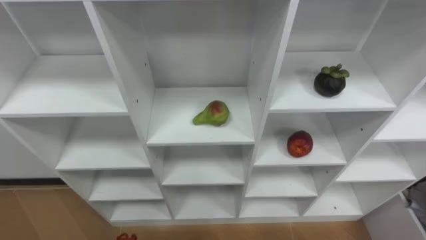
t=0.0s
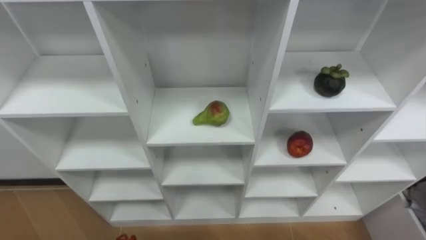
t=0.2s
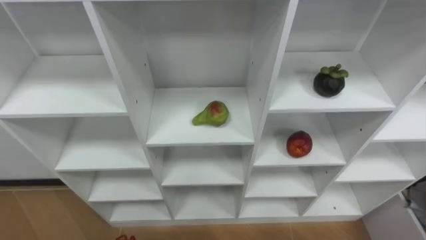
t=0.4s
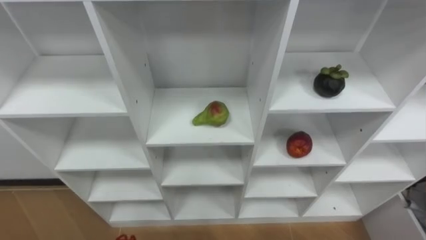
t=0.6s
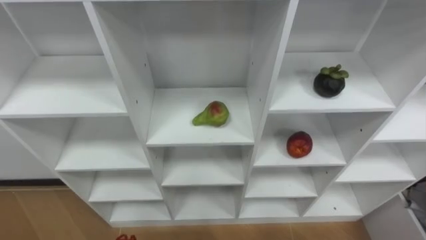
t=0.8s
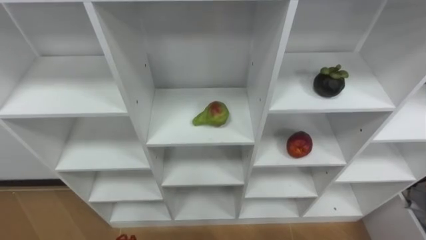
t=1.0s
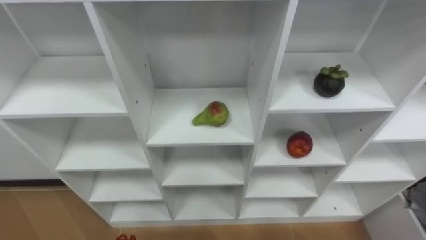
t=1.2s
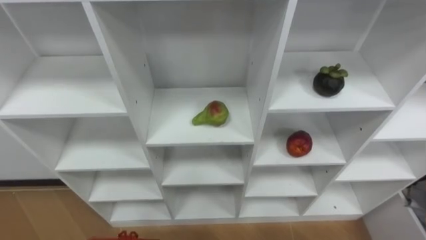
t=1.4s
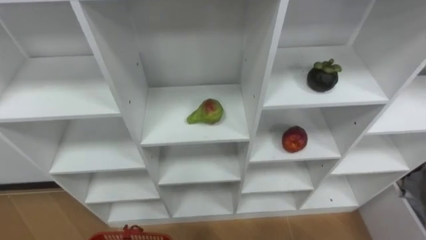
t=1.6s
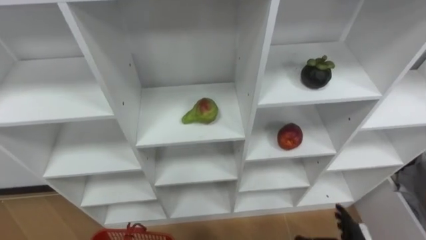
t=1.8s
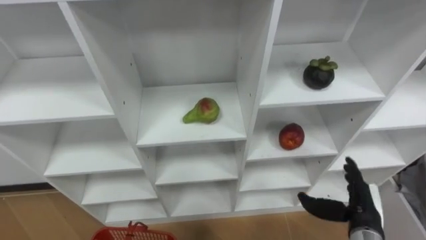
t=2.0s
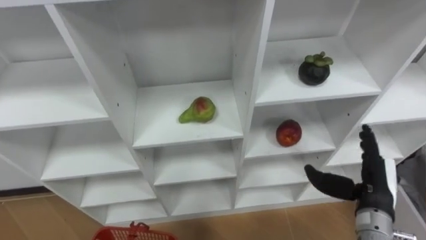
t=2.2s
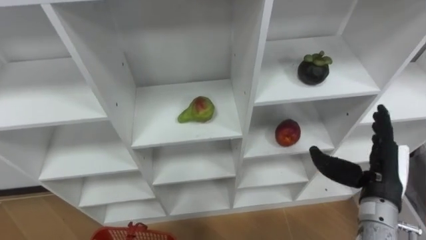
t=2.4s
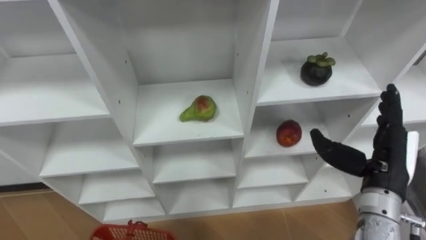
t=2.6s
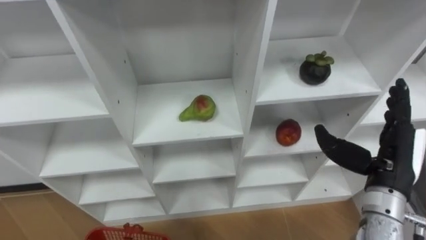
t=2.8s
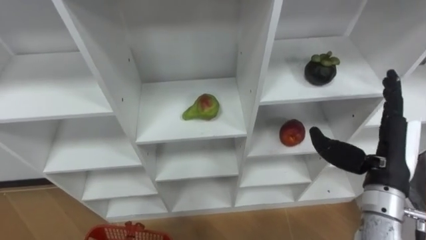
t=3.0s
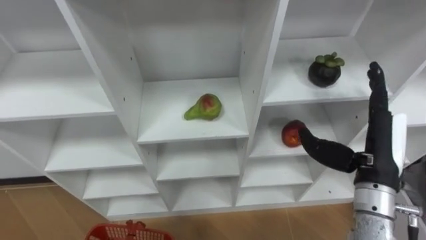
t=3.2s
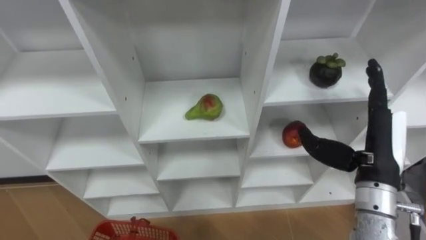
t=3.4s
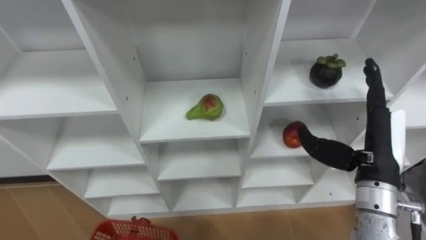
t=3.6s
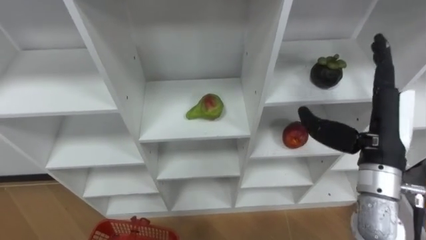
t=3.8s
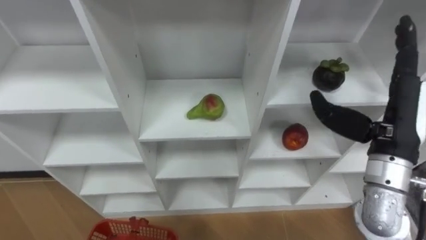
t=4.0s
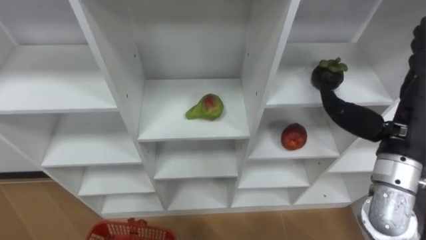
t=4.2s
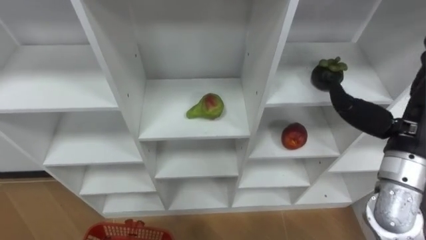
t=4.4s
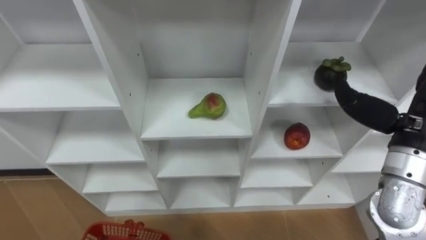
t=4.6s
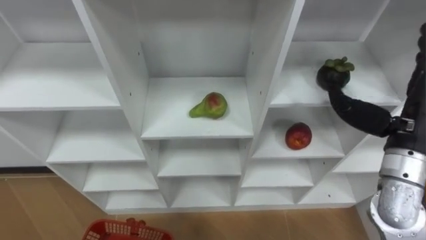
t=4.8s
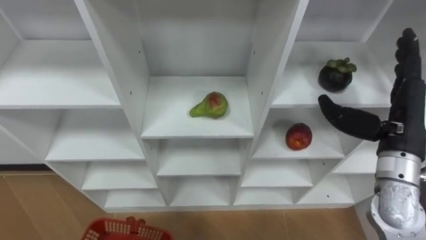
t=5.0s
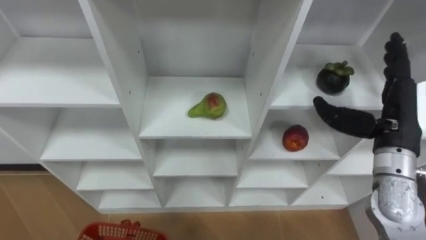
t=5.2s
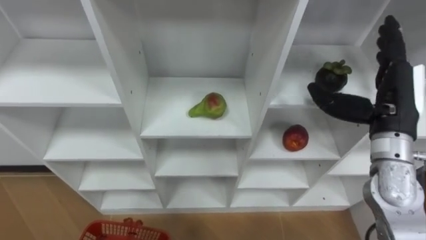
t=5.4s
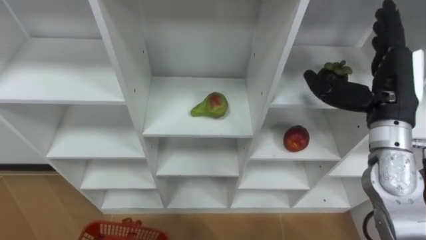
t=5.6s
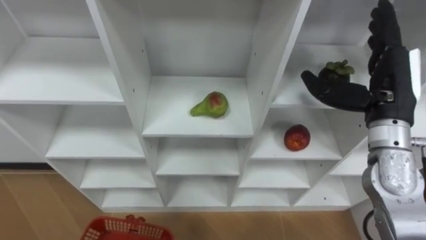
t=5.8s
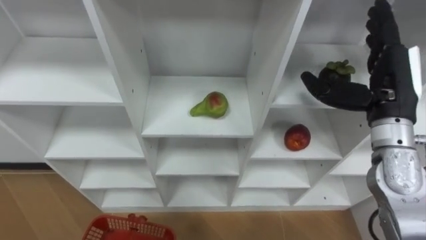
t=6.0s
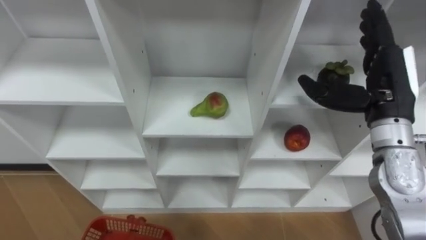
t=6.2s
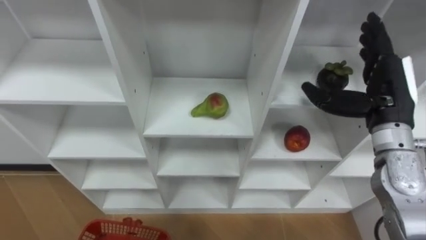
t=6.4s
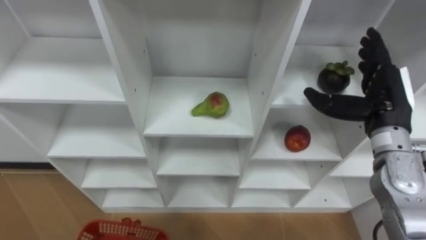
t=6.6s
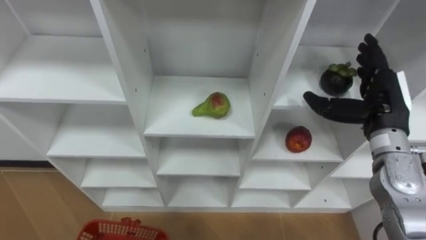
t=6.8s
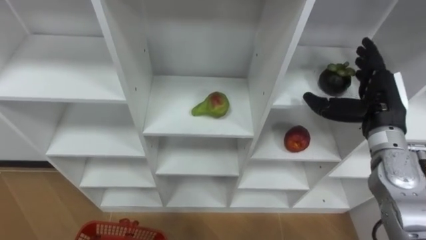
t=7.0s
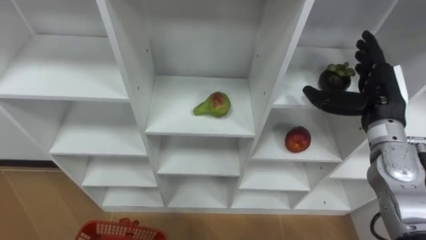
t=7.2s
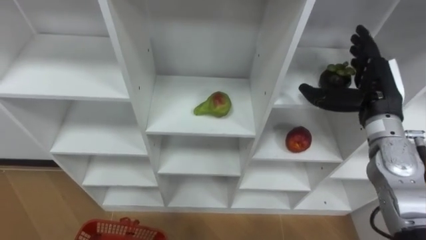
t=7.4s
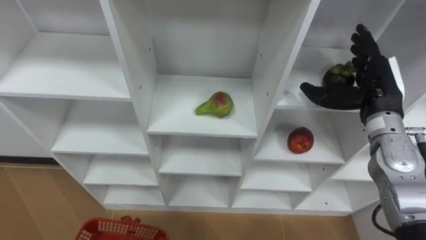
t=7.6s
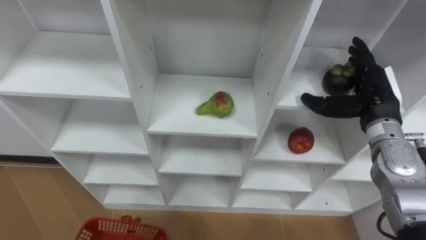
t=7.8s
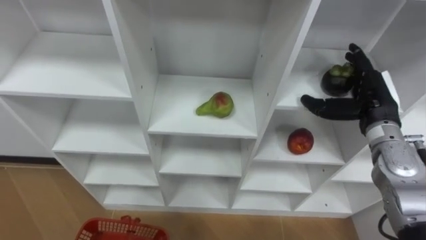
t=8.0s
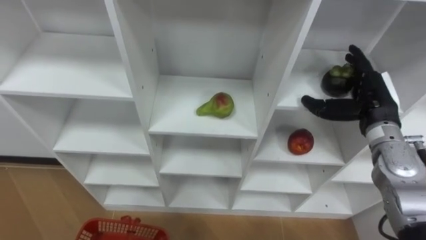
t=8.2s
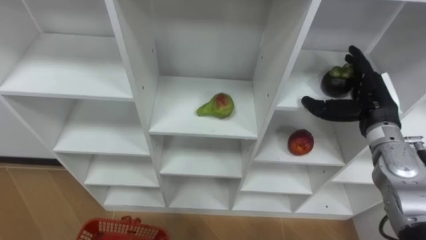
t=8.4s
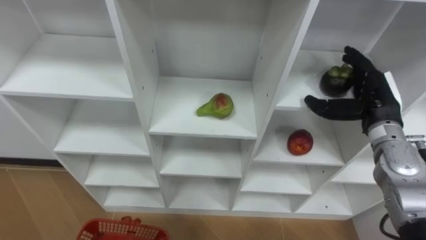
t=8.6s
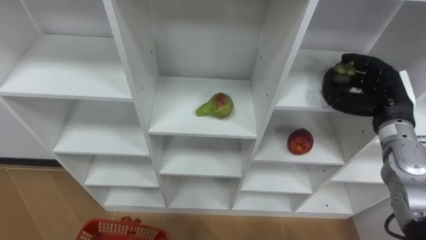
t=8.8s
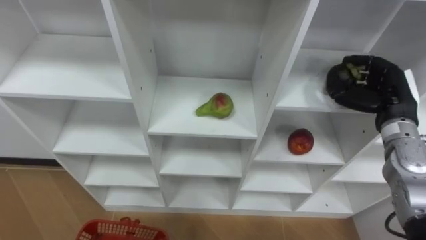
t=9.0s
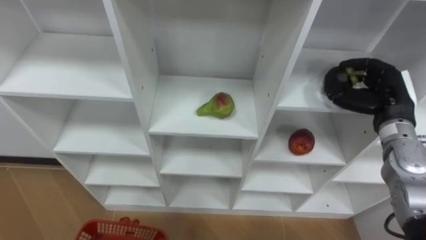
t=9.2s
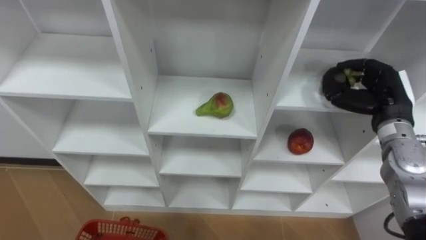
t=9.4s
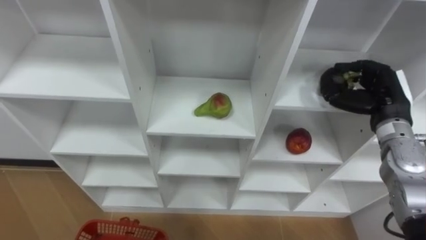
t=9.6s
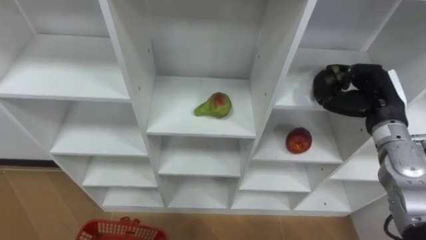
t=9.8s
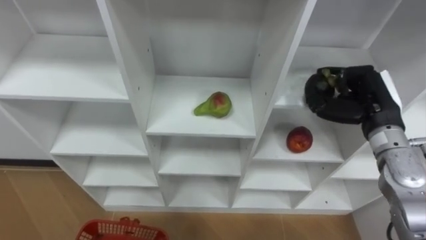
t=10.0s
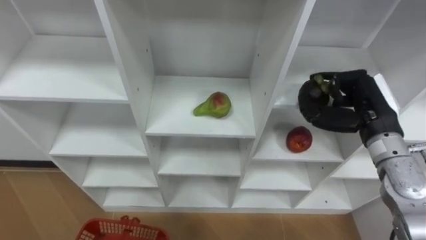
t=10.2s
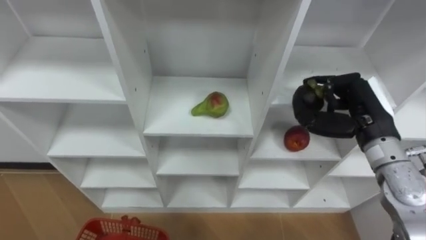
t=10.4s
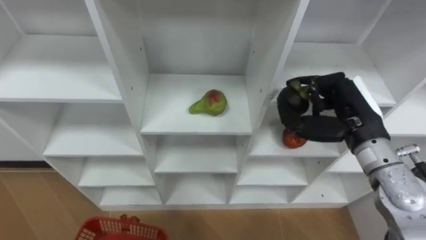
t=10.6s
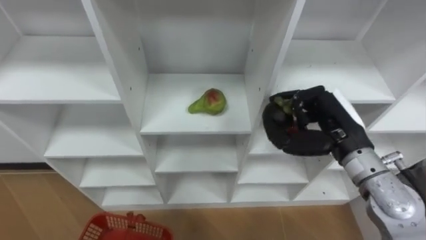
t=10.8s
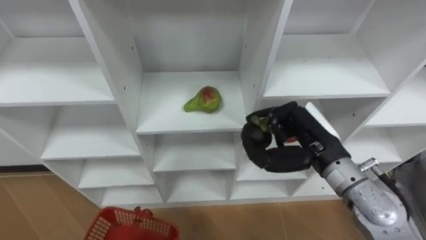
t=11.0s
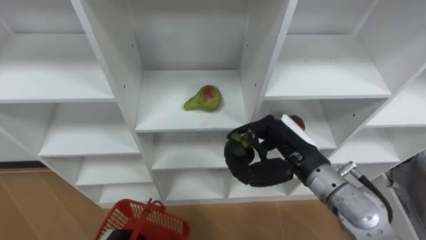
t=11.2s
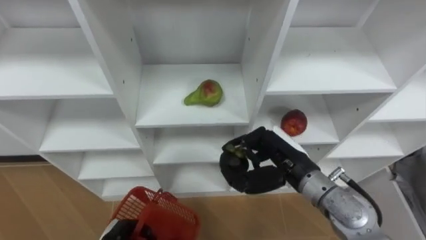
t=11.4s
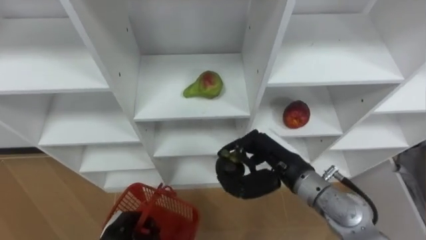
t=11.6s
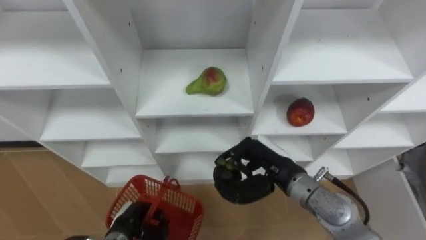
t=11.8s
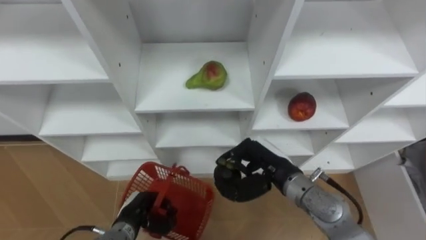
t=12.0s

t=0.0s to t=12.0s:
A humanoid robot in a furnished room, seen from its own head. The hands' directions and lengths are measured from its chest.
Task of the whole recording: Hold the basket and collect the fruits from 3 different cells of the closet into it.
t=3.0s to t=4.4s: The right hand moves upward, roughly 5 cm.
t=4.4s to t=6.0s: The right hand shifts about 5 cm forward.
t=6.0s to t=7.6s: The right hand changes place by some 5 cm.
t=7.6s to t=9.0s: The right hand closes.
t=9.0s to t=10.4s: The right hand shifts about 5 cm to the left.
t=10.4s to t=12.0s: The right hand moves to the left and downward, approximately 20 cm.

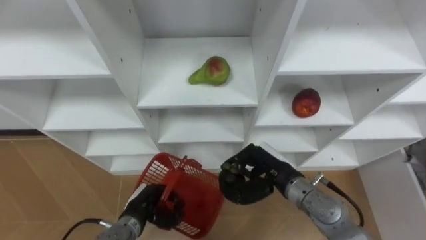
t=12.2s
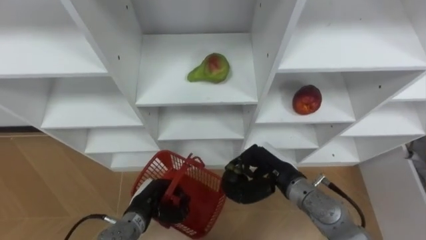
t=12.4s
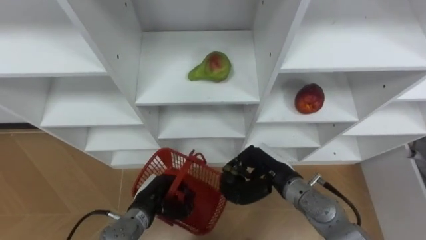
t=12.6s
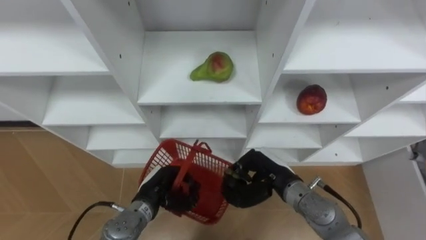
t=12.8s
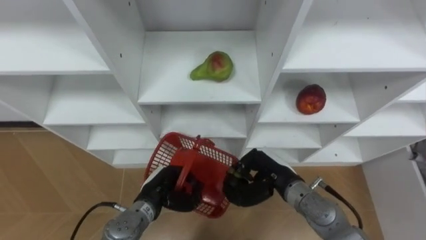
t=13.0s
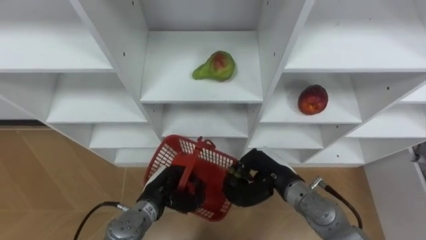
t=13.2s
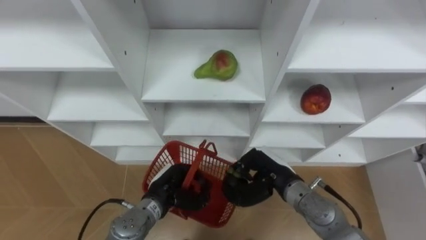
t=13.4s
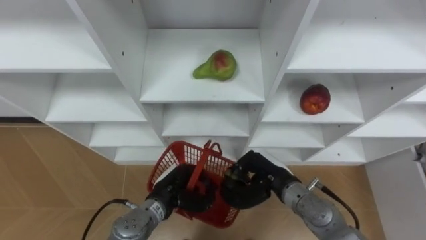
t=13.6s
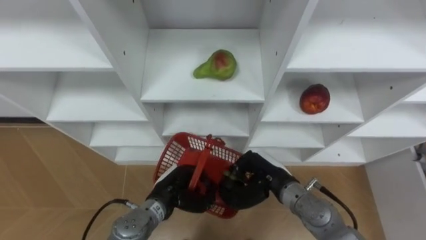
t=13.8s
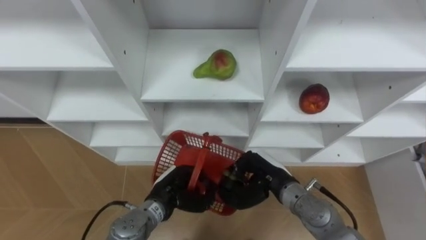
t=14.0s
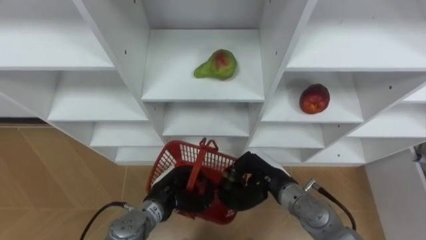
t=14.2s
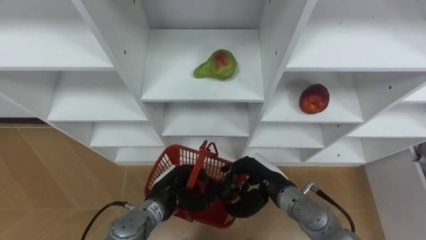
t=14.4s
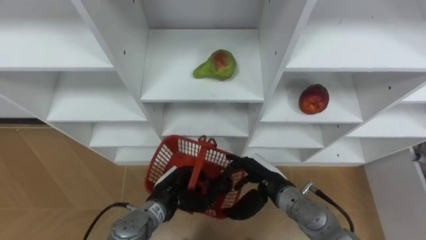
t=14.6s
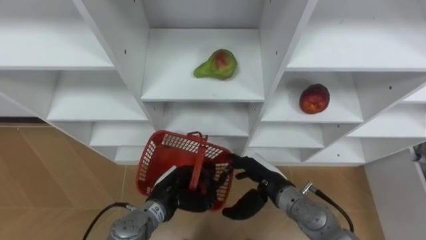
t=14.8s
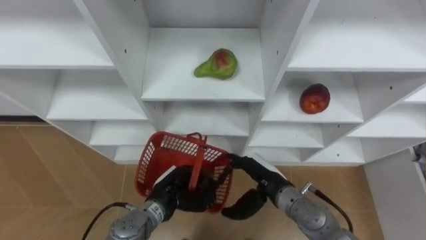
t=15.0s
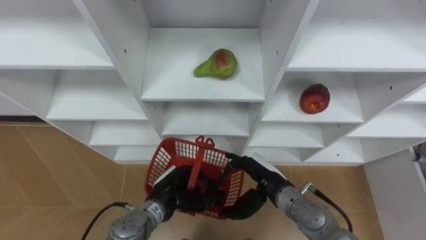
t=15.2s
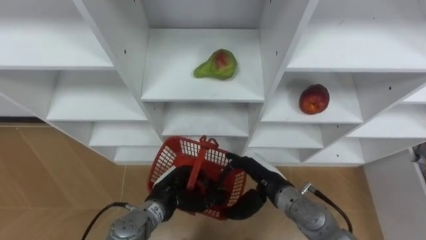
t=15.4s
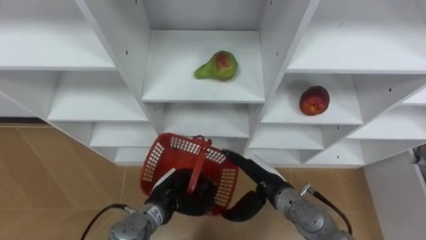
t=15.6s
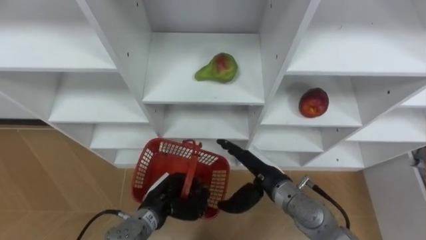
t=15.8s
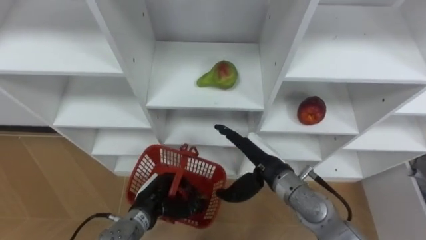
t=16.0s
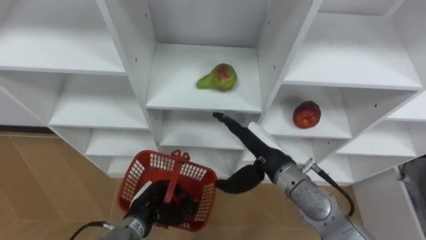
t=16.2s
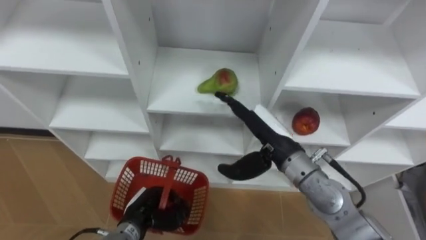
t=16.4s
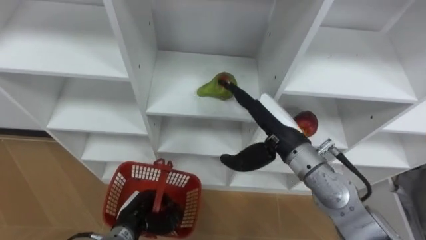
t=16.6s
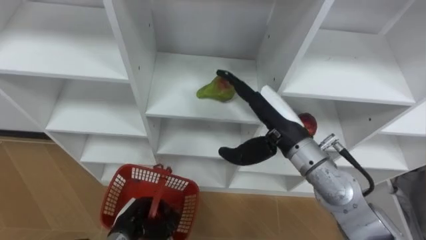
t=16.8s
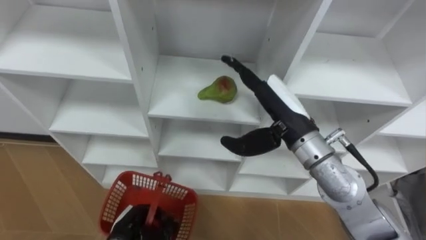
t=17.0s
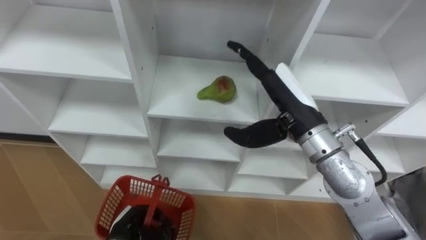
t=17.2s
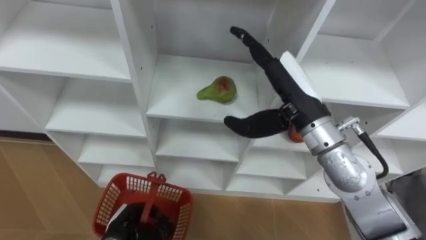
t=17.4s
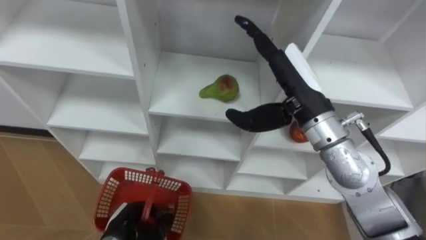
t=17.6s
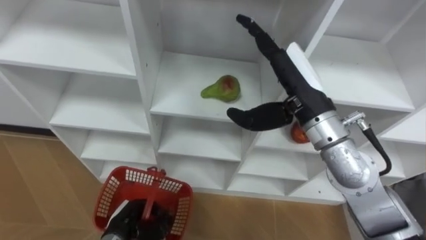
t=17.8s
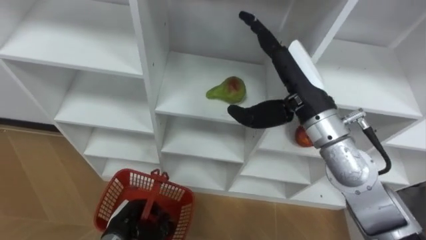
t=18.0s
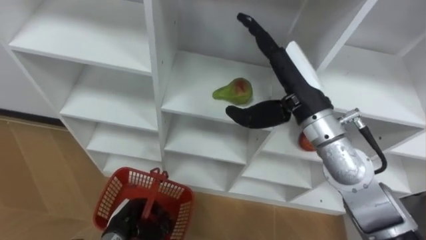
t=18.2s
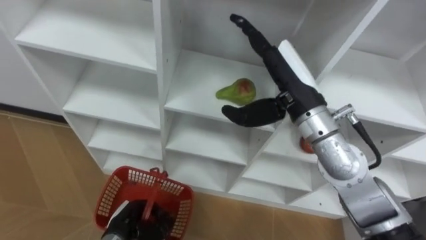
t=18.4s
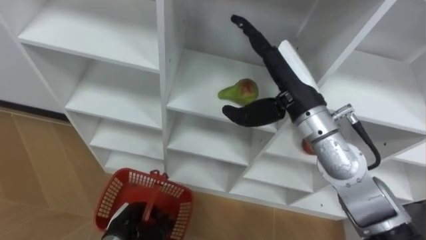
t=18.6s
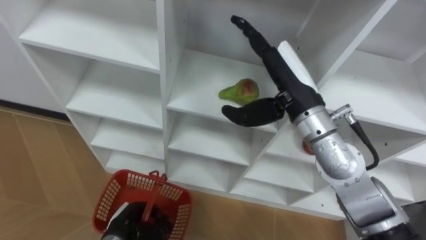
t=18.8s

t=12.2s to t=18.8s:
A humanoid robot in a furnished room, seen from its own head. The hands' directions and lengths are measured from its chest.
Task of the whole recording: Hold the basket and collect the fruits from 3 different cells of the closet into it.
t=12.2s to t=13.8s: The left hand heads to the right, covering some 5 cm.
t=13.8s to t=15.4s: The right hand opens its fingers.
t=15.4s to t=17.2s: The left hand moves to the left, backward and downward, about 15 cm, while the right hand goes roughly 20 cm upward.
